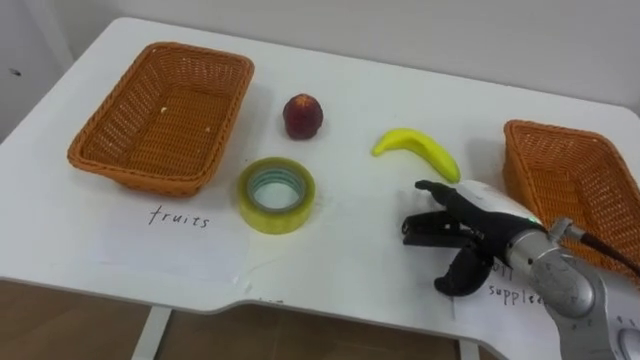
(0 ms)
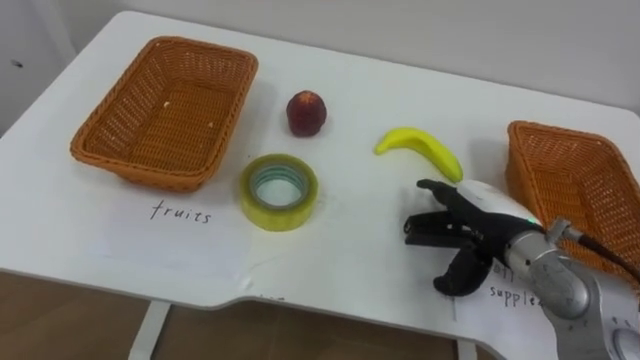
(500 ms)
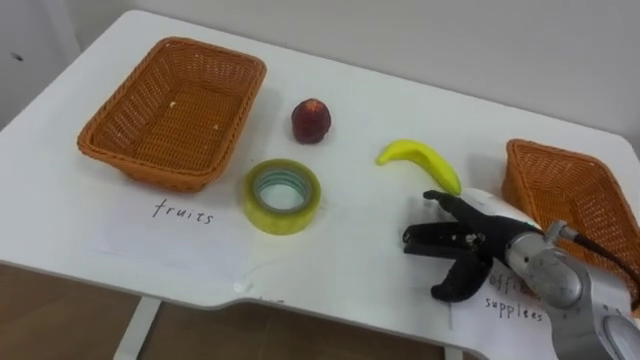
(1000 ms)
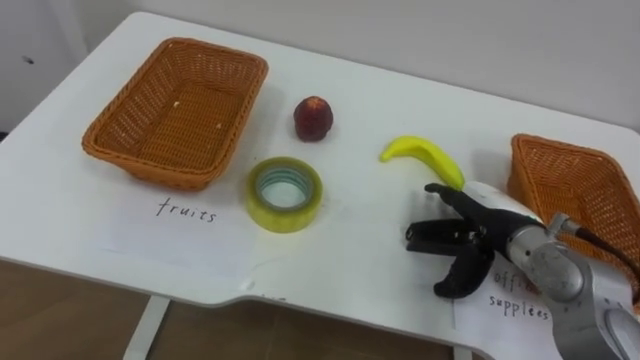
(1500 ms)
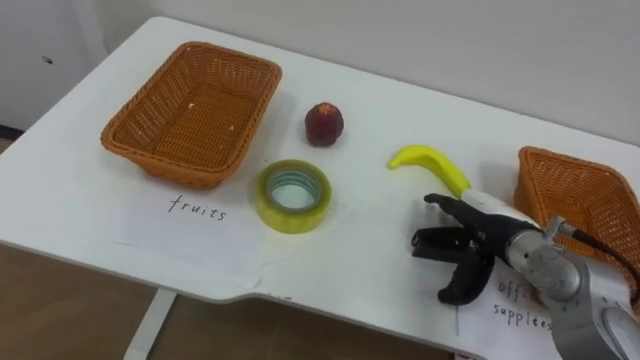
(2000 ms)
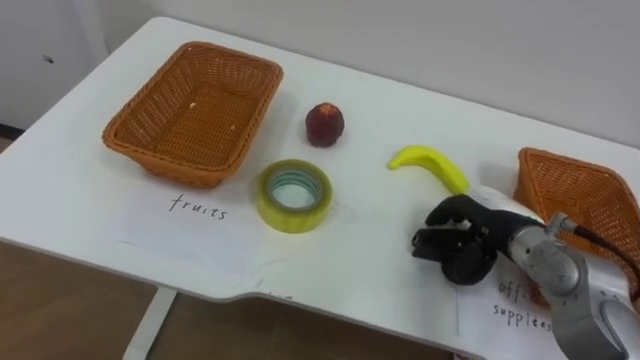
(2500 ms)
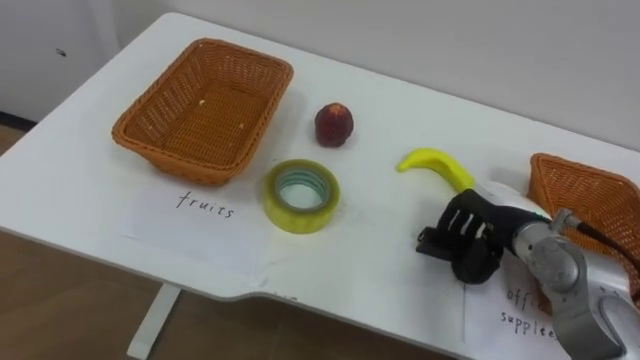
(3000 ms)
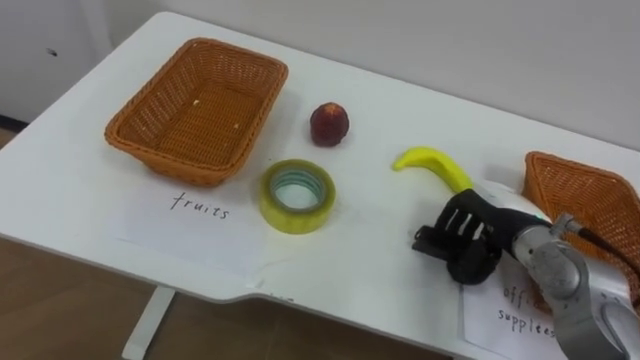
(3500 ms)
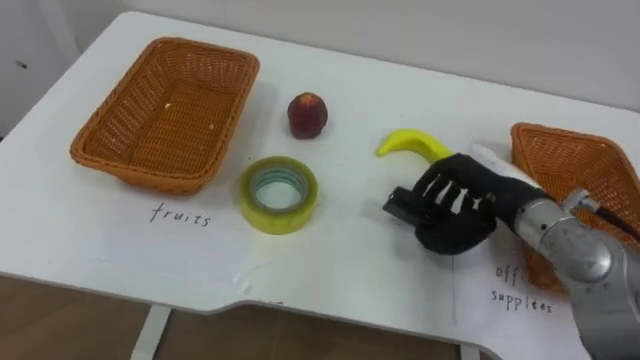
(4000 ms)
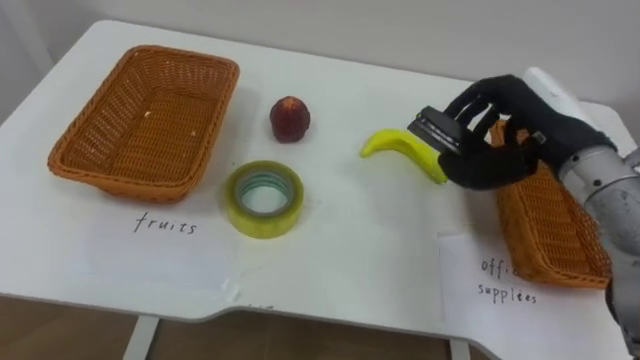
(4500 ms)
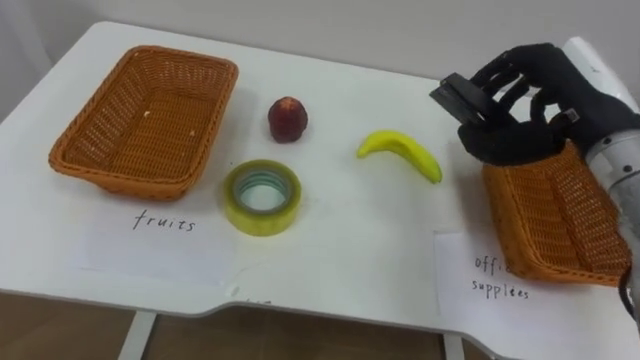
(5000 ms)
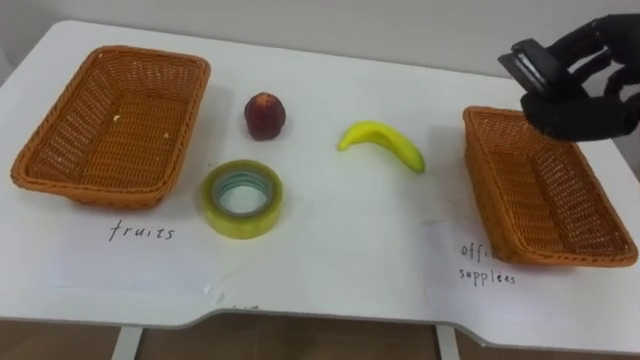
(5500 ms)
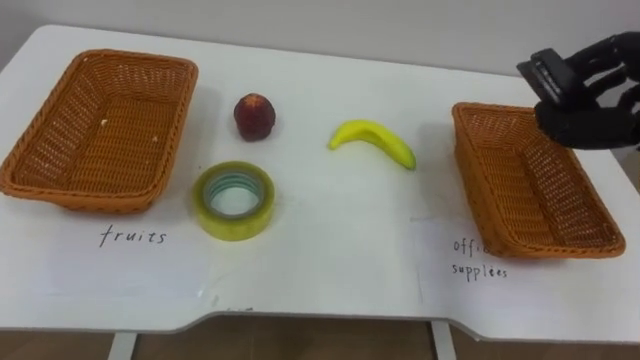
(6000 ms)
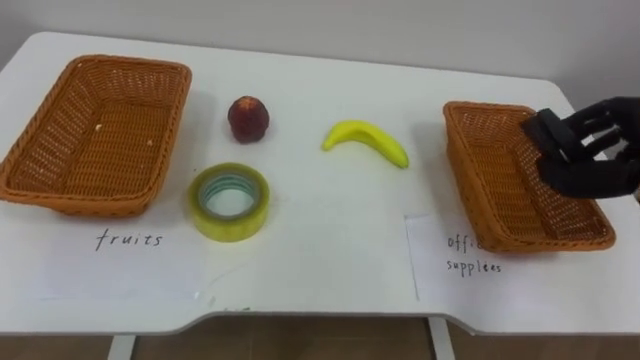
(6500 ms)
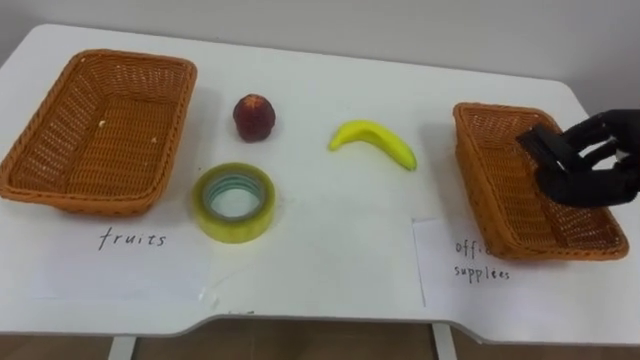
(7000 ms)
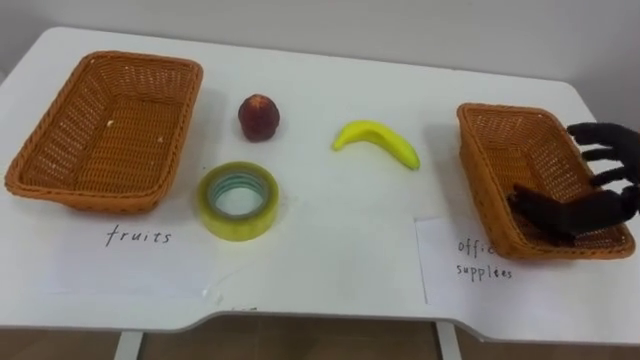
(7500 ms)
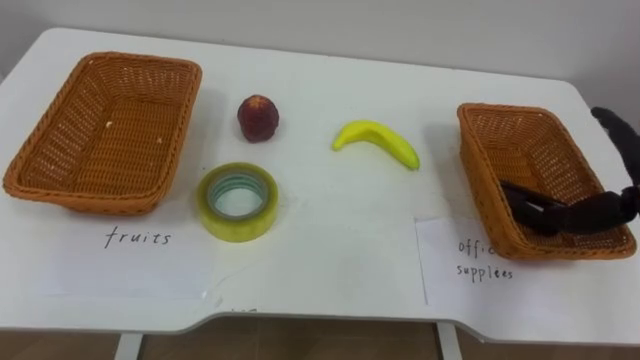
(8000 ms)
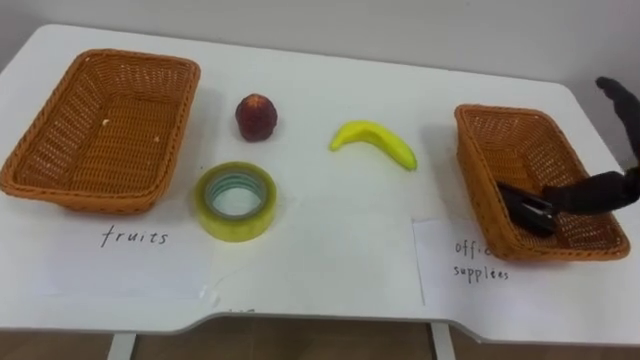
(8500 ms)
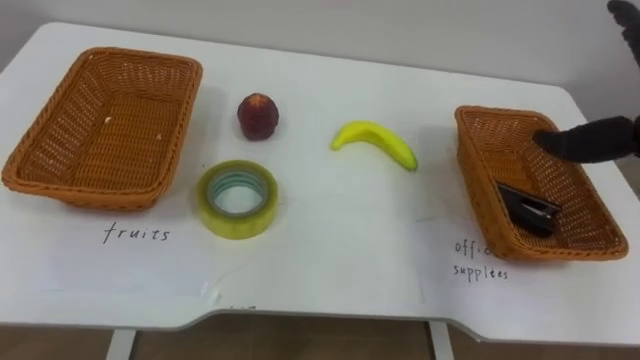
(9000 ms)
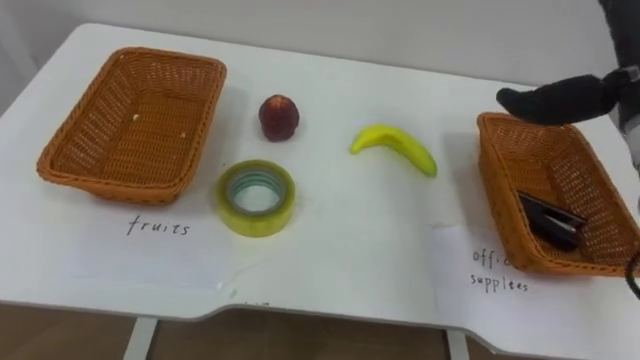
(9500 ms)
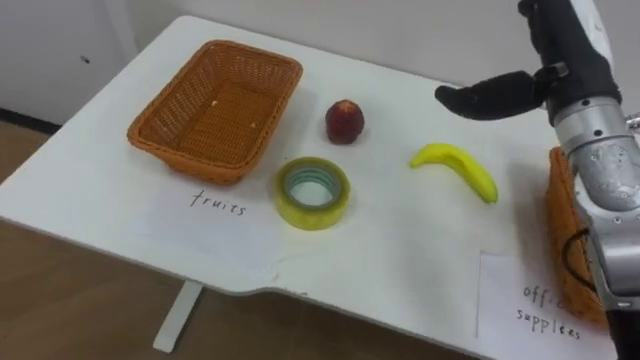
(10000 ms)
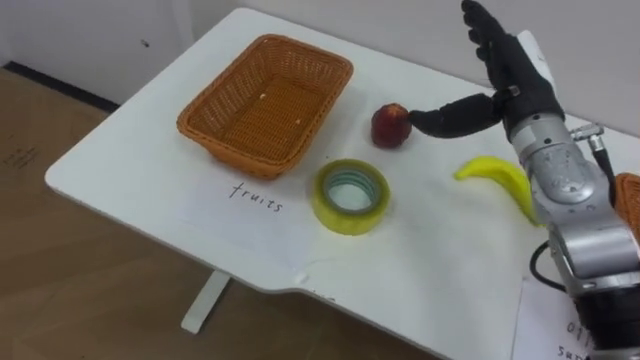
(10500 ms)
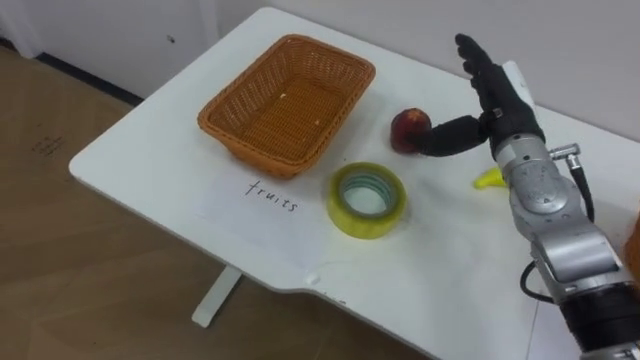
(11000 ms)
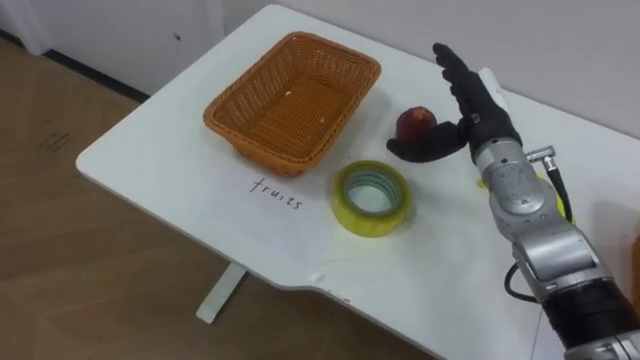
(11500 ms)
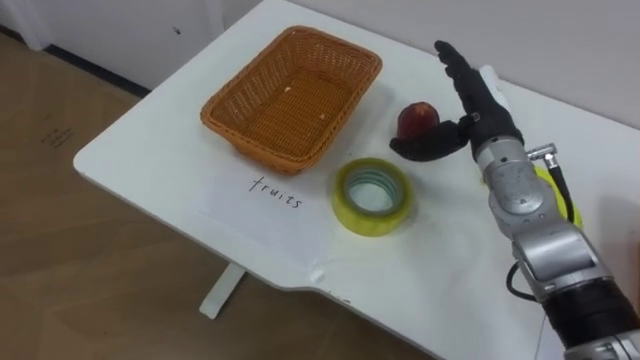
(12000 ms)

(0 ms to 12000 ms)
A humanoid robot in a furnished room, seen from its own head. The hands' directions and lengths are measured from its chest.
Task of the whole recording: Separate the items on the table and place them into the two baskets.
2000 ms - 4000 ms: The right hand goes about 5 cm upward, and closes its fingers.
10000 ms - 12000 ms: The right hand moves downward, some 10 cm.

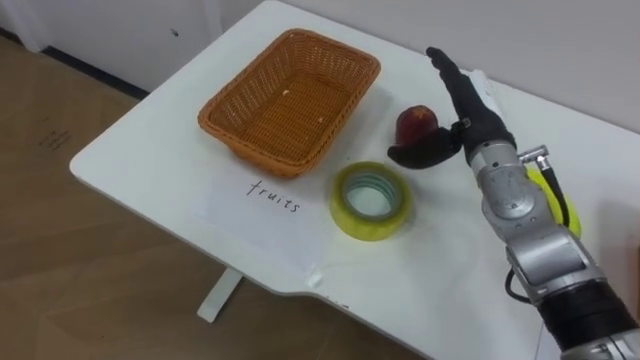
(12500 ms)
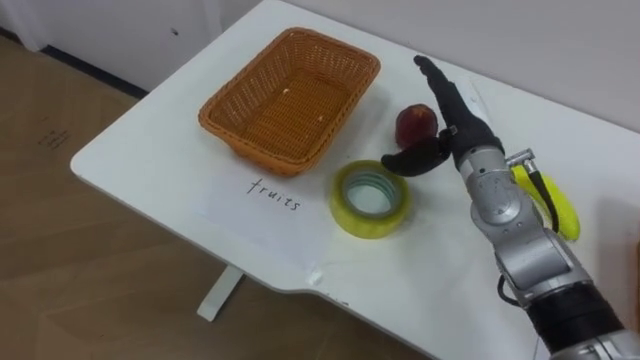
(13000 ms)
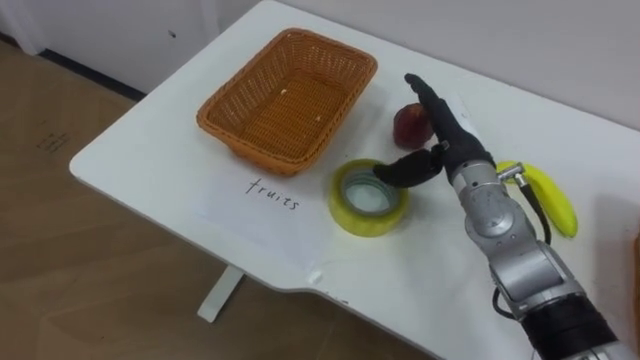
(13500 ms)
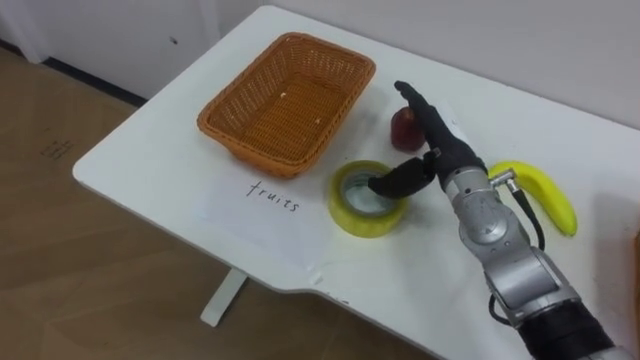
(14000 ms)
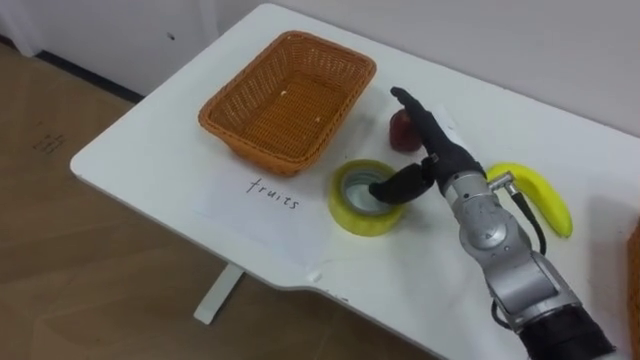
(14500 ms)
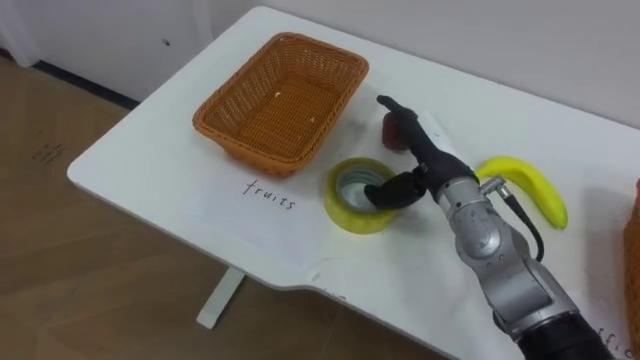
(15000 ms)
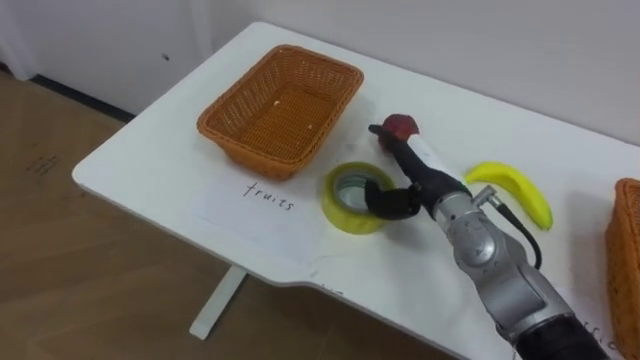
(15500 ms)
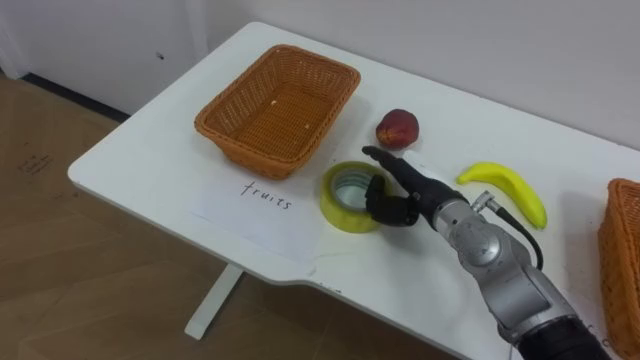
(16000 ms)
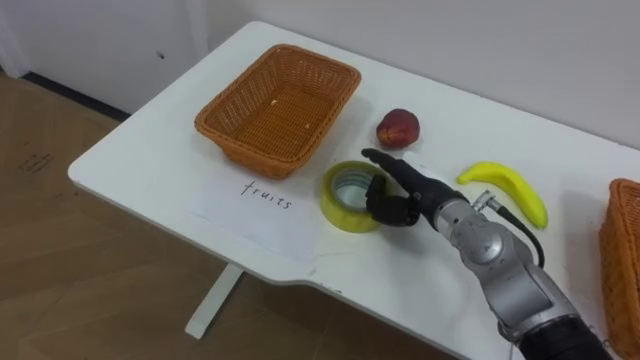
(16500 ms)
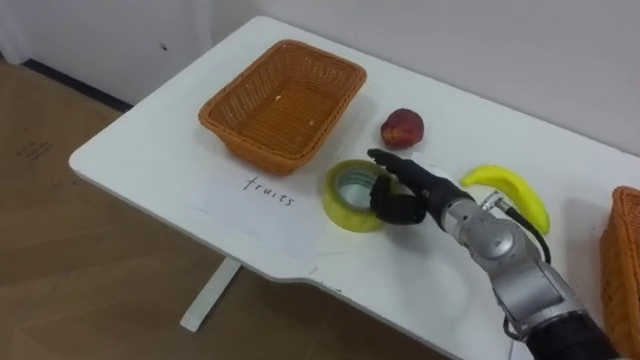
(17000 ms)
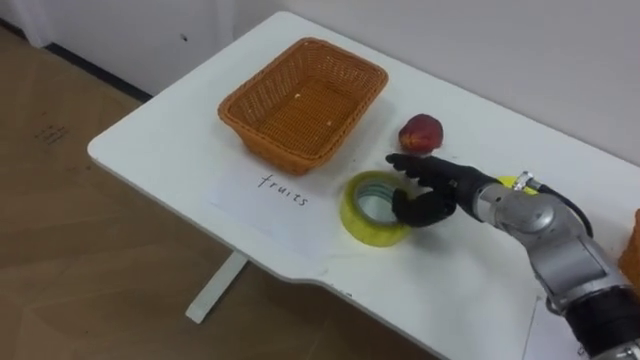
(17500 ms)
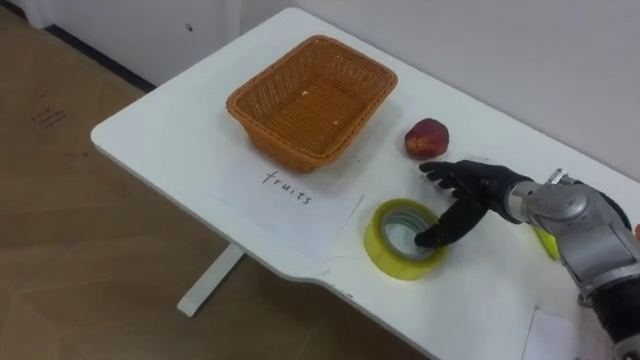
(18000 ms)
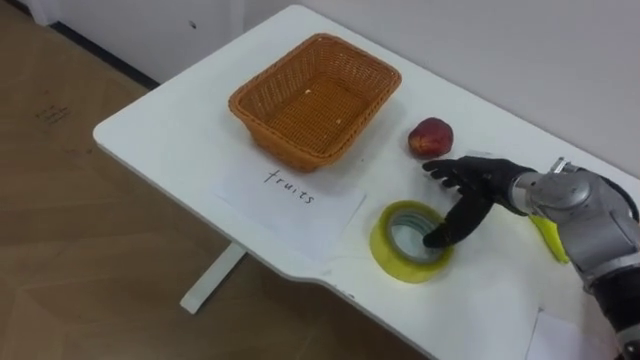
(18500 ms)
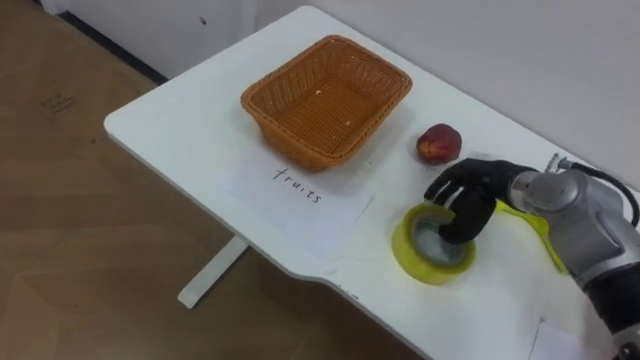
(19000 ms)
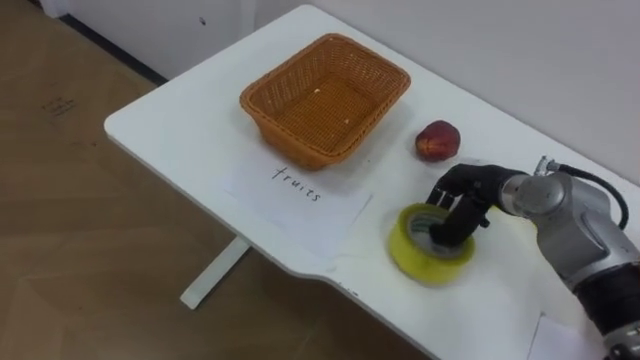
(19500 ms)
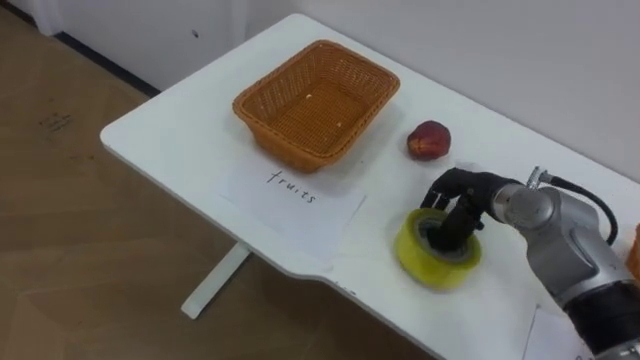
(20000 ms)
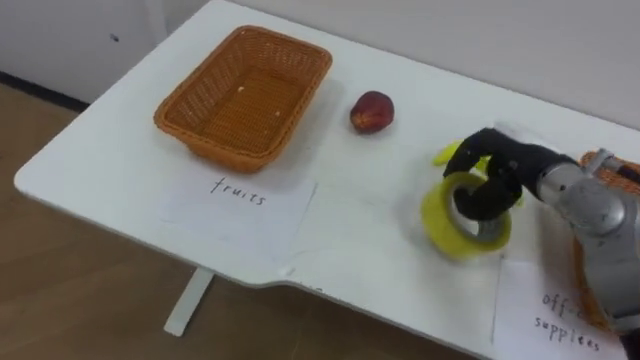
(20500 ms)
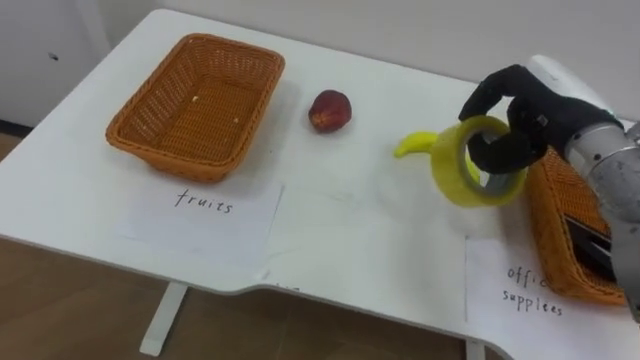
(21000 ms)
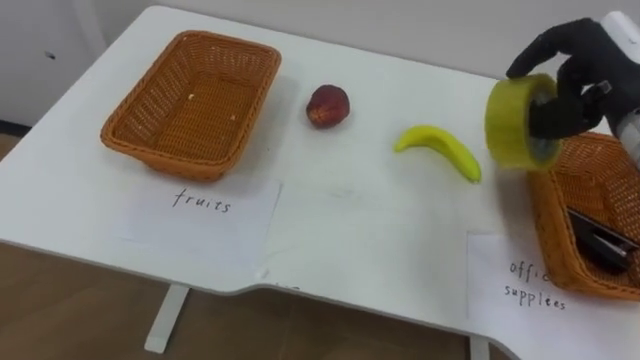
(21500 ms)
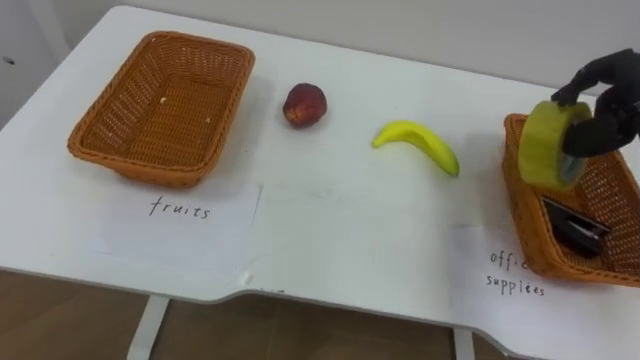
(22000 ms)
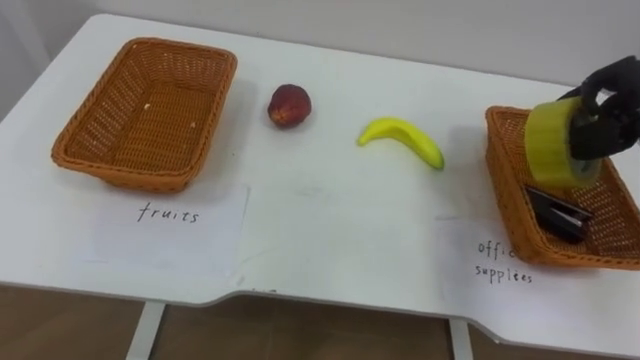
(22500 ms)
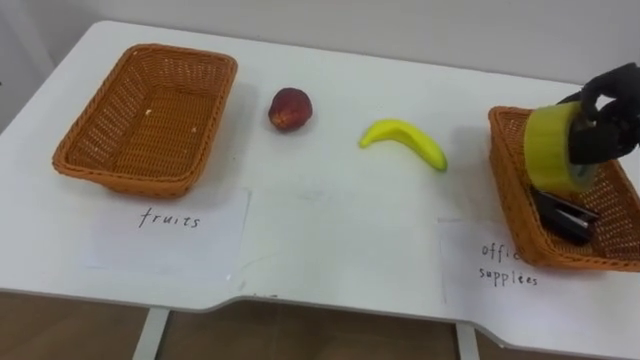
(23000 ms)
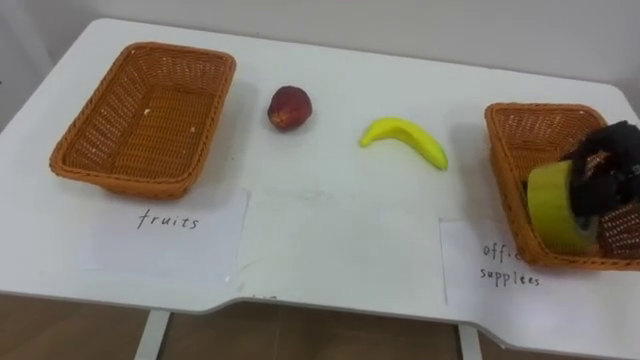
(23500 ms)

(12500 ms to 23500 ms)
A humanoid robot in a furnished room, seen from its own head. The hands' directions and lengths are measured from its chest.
Task of the whole recording: Separate the items on the table and place them into the two baskets.
12500 ms - 14500 ms: The right hand ends up roughly 5 cm from where it was.
14500 ms - 16000 ms: The right hand shifts about 5 cm downward.
16000 ms - 18000 ms: The right hand is displaced to the right by some 10 cm.
18000 ms - 20000 ms: The right hand closes up.
20000 ms - 21500 ms: The right hand shifts roughly 20 cm upward and to the right.
